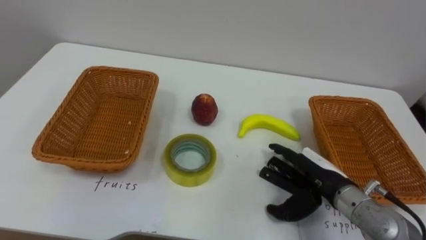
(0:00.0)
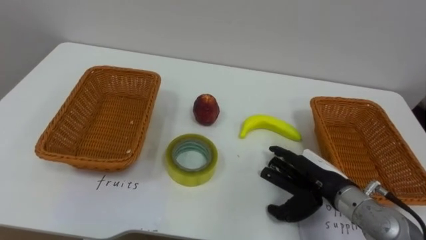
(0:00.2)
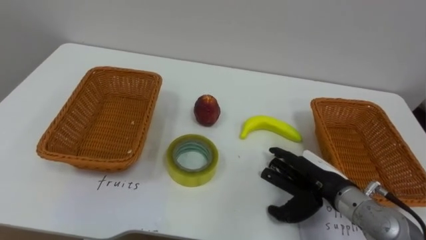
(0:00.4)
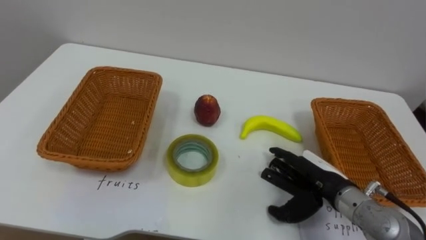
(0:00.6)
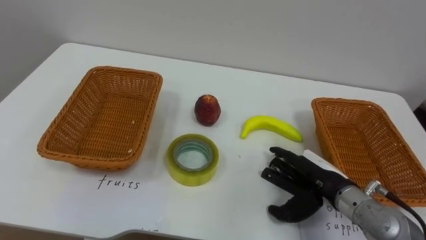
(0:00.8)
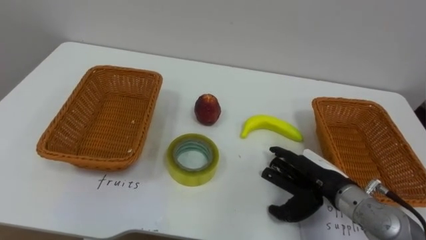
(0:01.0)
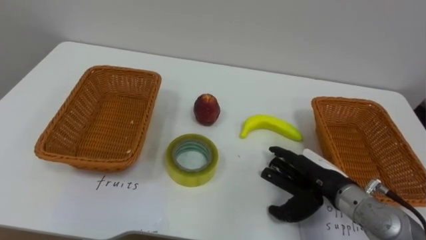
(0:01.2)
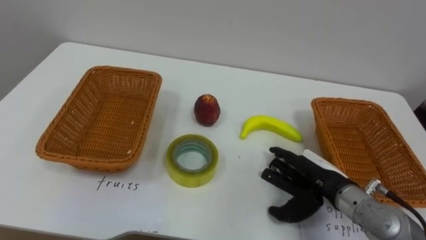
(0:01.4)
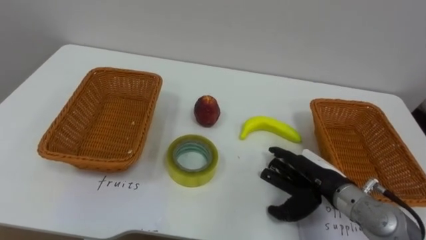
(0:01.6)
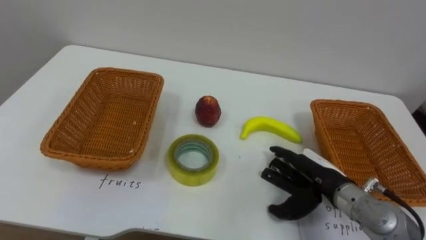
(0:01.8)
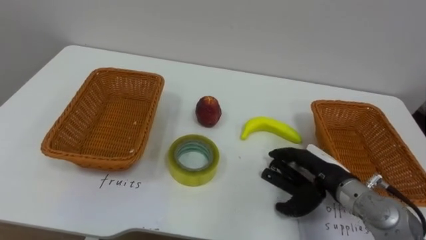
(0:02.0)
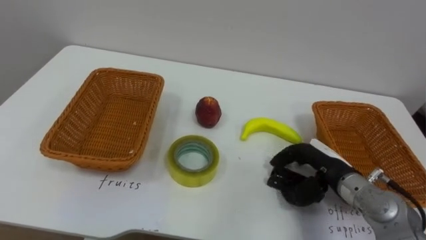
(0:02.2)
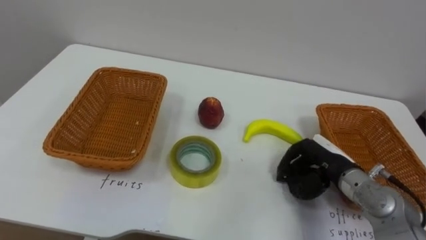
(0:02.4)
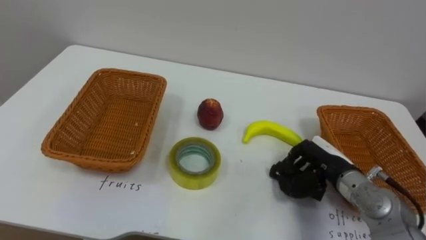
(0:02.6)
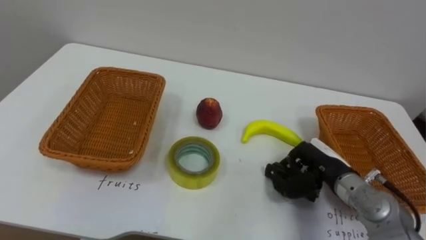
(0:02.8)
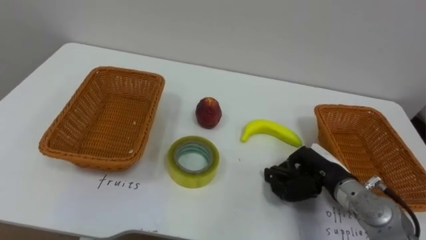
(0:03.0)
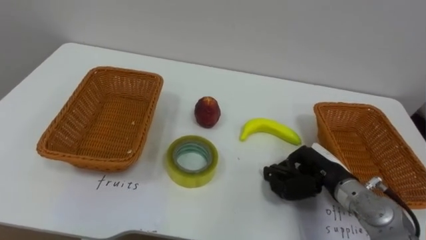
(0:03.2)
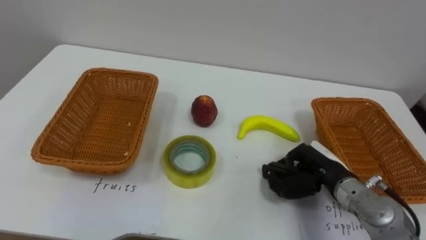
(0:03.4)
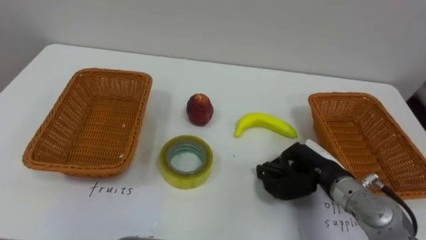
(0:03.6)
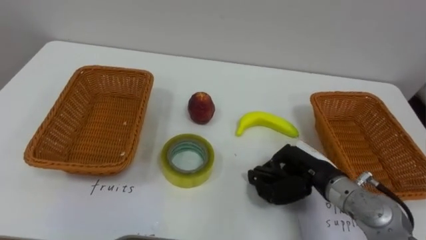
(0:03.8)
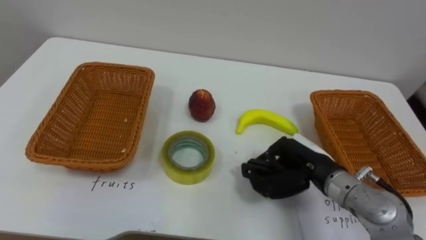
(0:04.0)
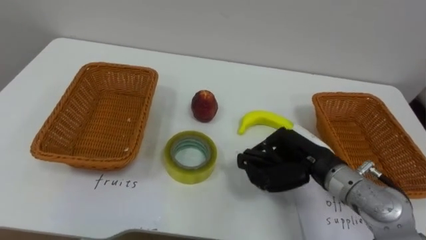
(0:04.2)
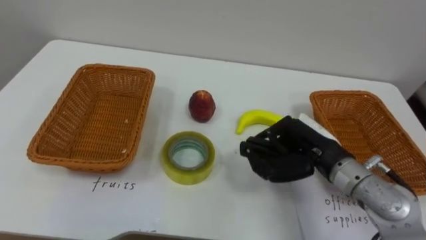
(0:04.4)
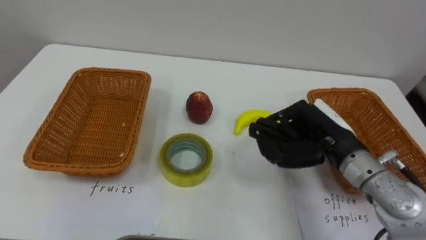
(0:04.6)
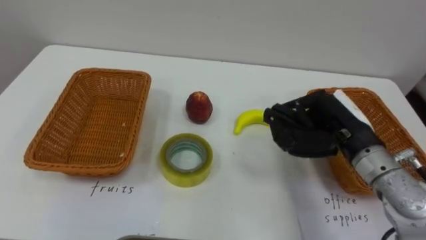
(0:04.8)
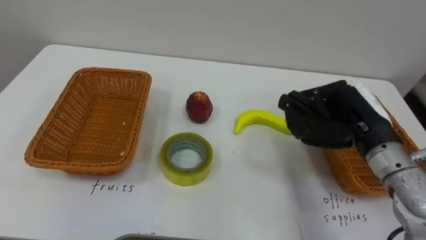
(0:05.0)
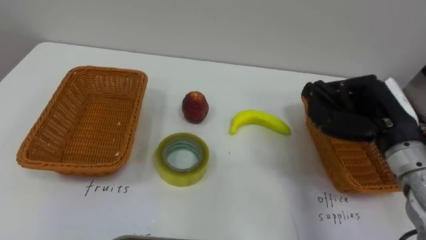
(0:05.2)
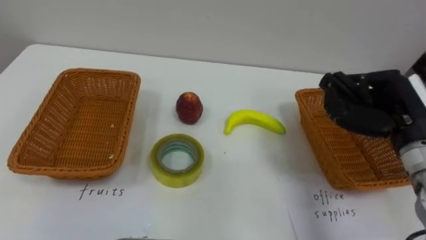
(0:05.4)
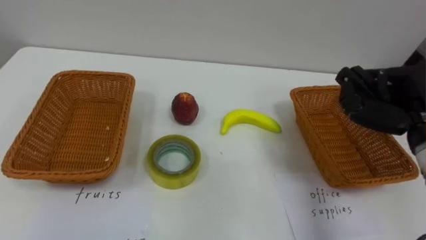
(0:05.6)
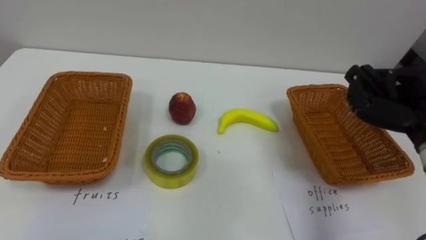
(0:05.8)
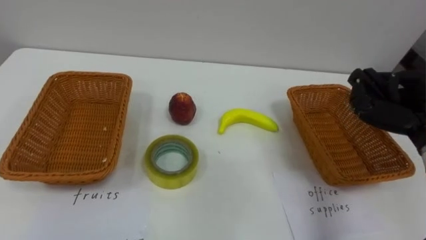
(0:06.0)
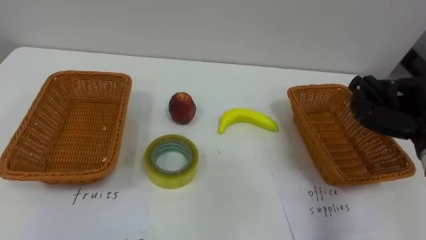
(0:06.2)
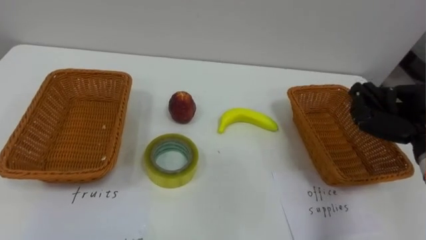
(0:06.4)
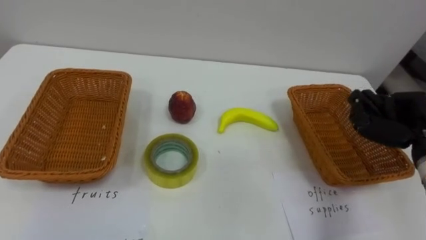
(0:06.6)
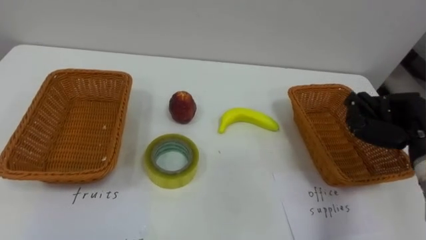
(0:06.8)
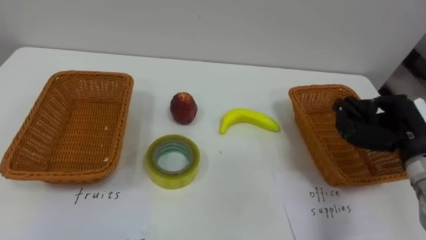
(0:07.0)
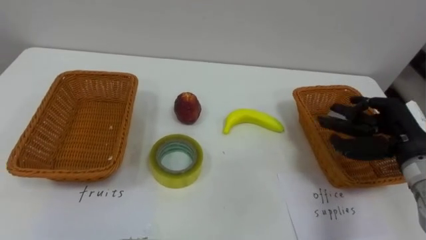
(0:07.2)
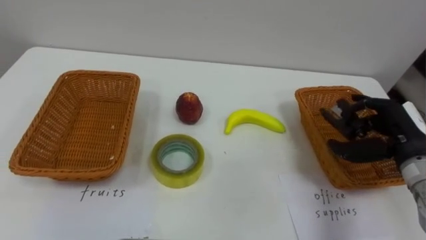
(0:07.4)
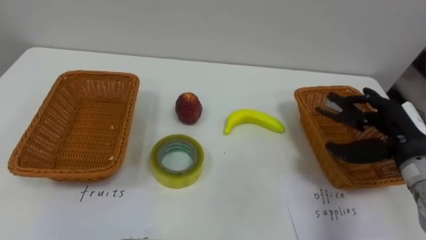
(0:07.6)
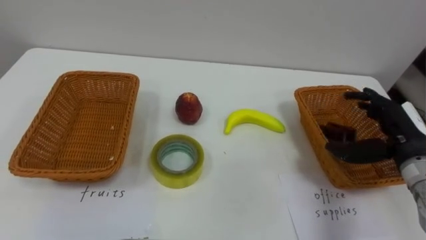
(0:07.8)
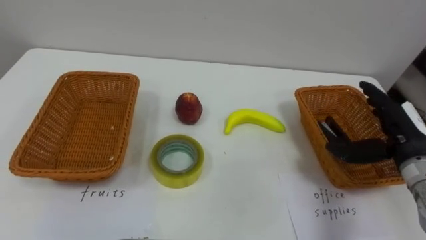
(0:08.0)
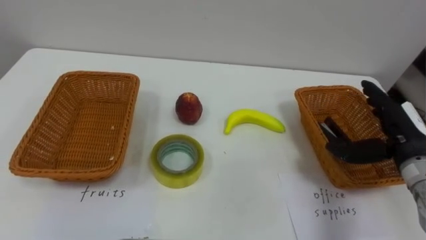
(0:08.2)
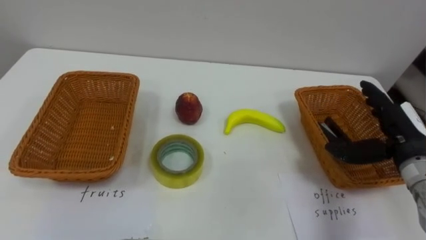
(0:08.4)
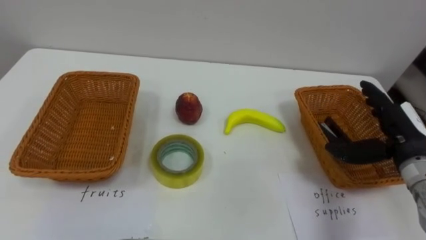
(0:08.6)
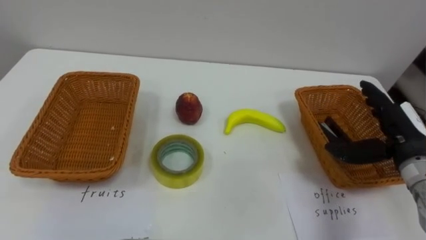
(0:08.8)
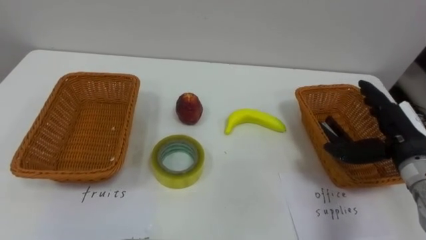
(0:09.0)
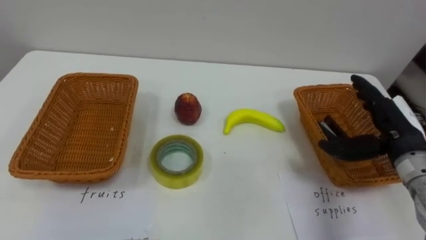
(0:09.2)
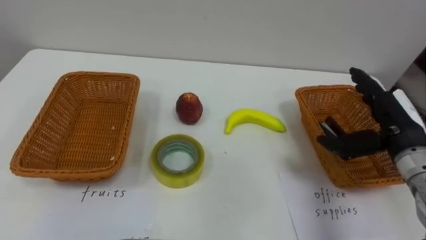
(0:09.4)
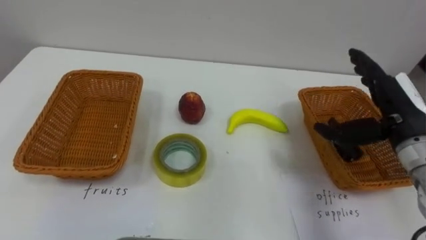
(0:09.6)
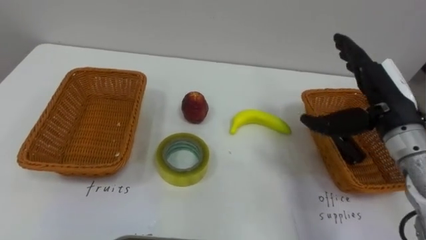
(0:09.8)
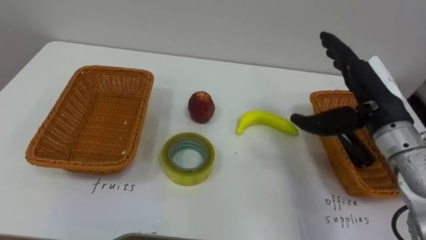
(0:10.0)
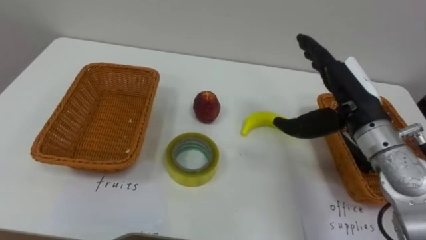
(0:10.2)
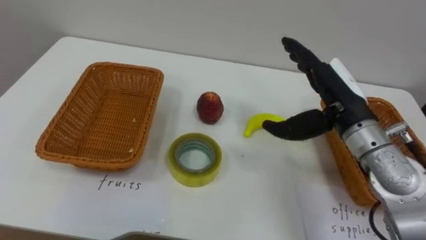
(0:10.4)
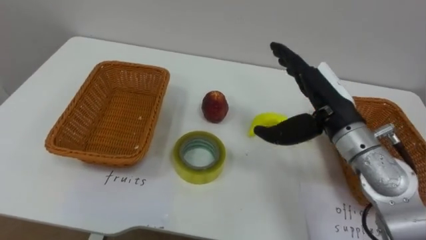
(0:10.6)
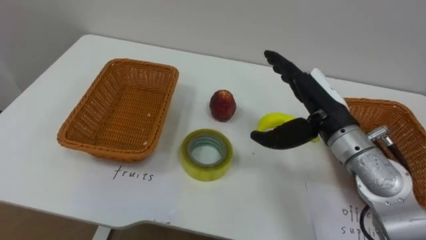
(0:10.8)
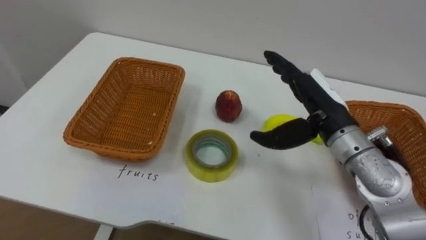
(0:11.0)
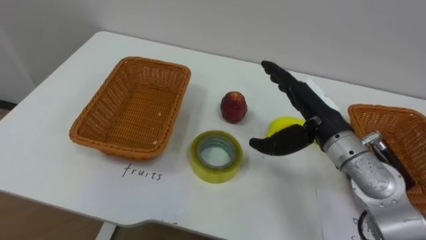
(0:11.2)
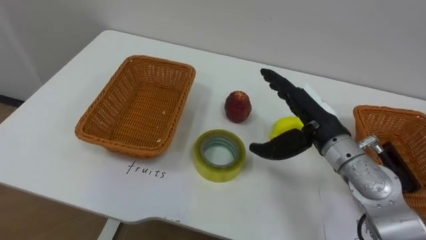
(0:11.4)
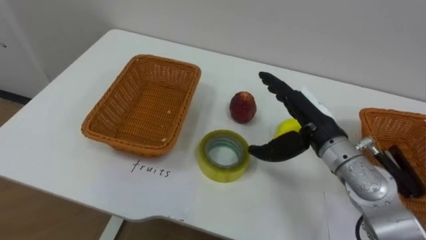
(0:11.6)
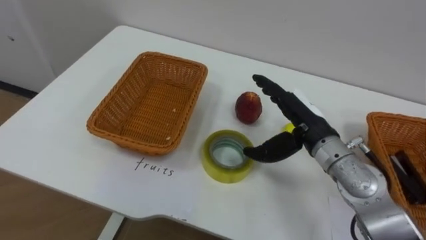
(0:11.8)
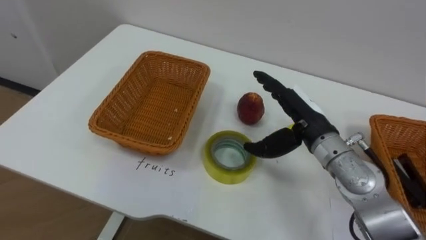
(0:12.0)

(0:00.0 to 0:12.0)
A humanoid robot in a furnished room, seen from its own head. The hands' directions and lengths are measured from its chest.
Task of the whole recording: Separate the items on the table and place them into the two baskets.
0:01.6 - 0:03.0: The right hand closes up.
0:03.0 - 0:04.4: The right hand moves upward, some 10 cm.
0:04.4 - 0:06.0: The right hand heads to the right, covering approximately 15 cm.
0:06.0 - 0:07.6: The right hand moves downward, roughly 5 cm, and opens its fingers.
0:09.0 - 0:10.4: The right hand travels to the left and upward by roughly 15 cm.
0:10.4 - 0:12.0: The right hand shifts about 5 cm downward.

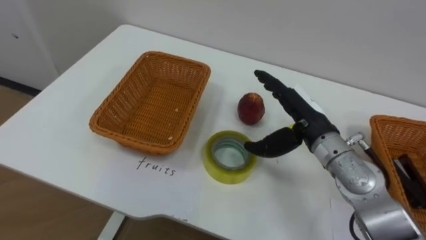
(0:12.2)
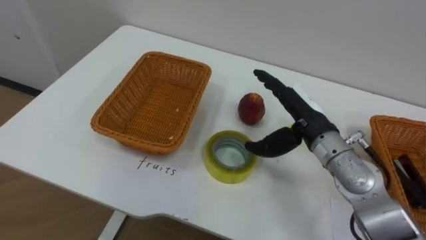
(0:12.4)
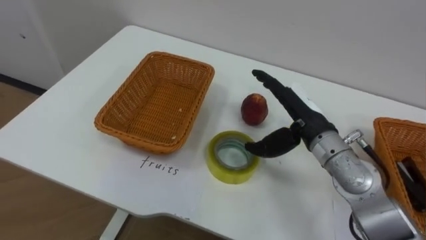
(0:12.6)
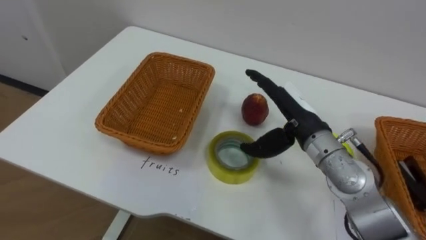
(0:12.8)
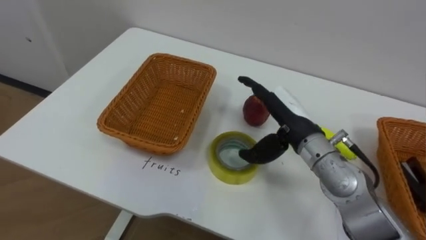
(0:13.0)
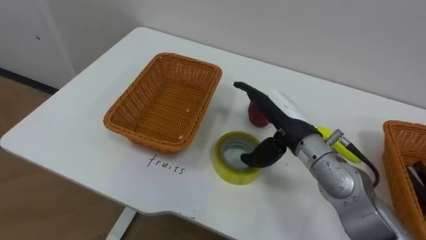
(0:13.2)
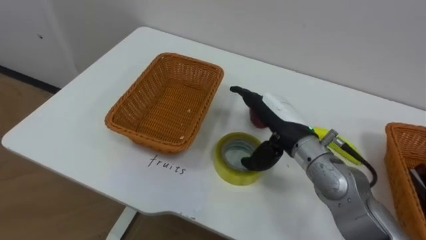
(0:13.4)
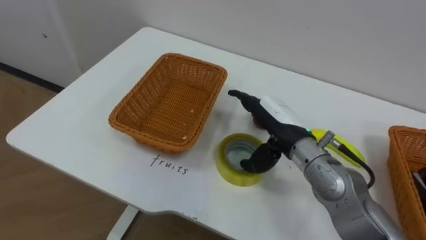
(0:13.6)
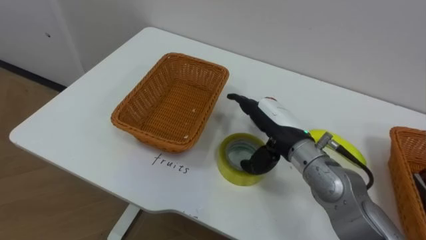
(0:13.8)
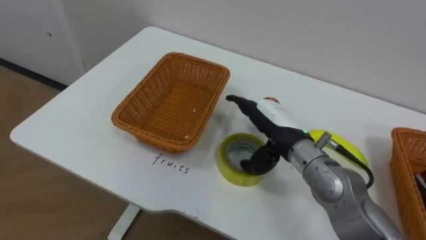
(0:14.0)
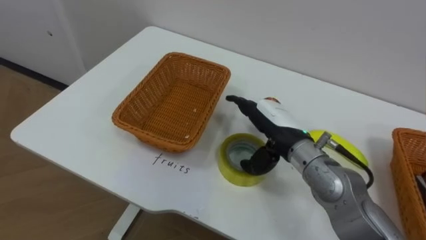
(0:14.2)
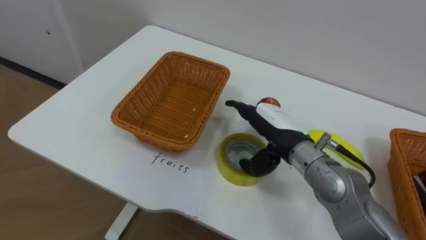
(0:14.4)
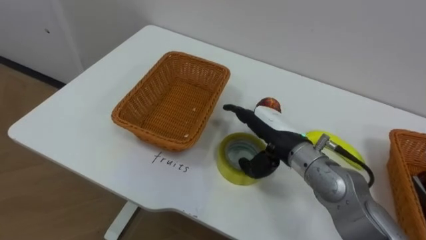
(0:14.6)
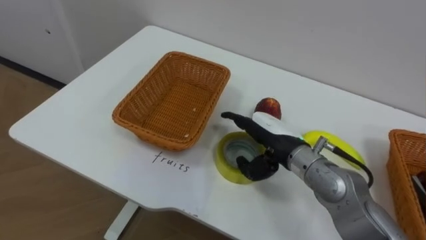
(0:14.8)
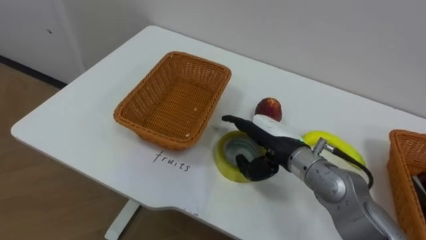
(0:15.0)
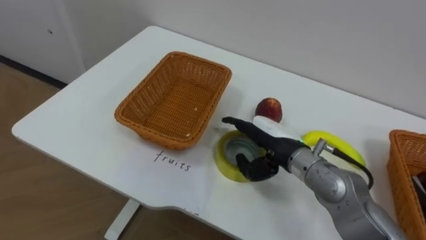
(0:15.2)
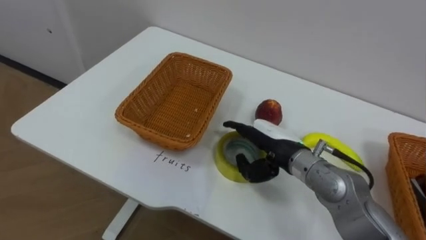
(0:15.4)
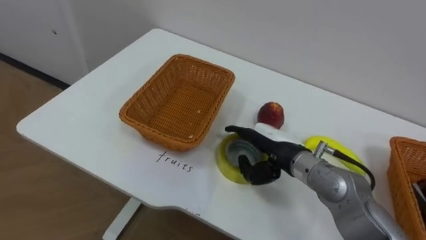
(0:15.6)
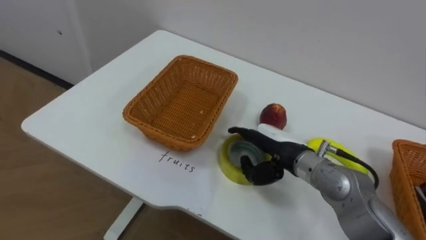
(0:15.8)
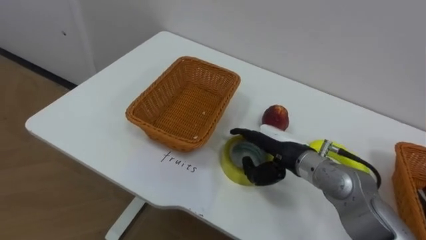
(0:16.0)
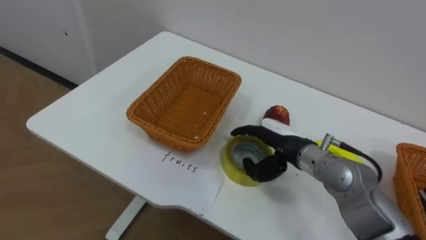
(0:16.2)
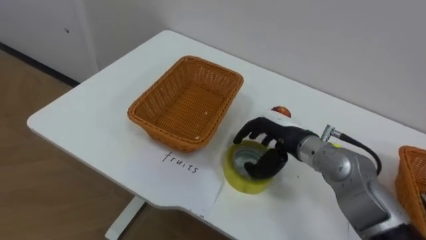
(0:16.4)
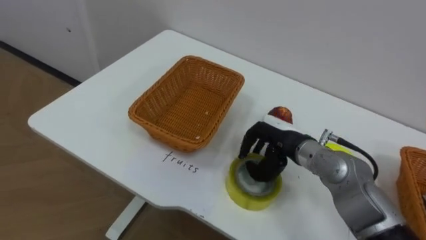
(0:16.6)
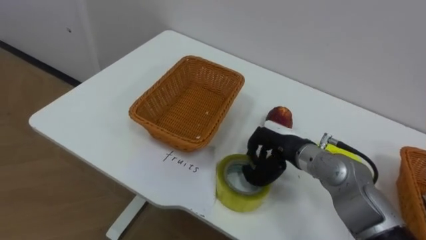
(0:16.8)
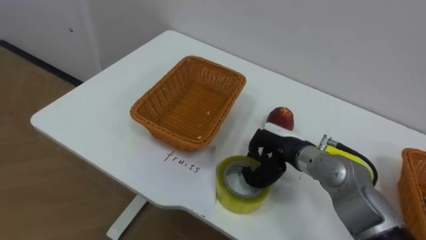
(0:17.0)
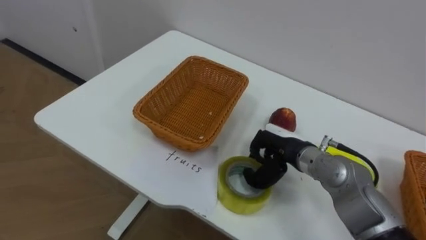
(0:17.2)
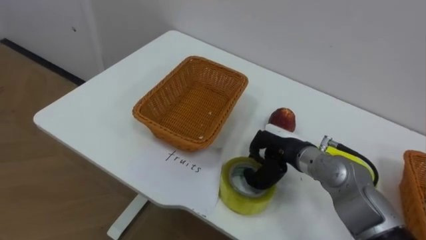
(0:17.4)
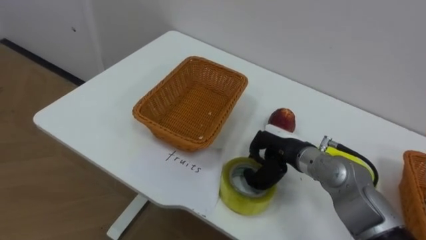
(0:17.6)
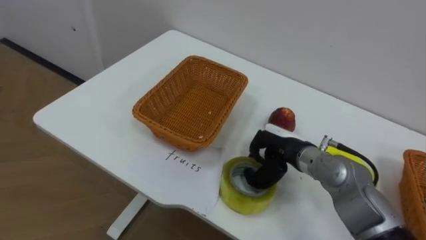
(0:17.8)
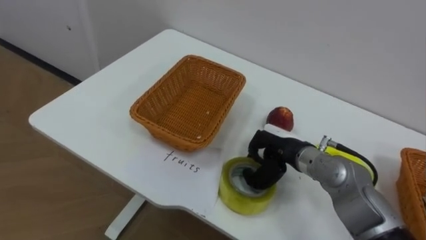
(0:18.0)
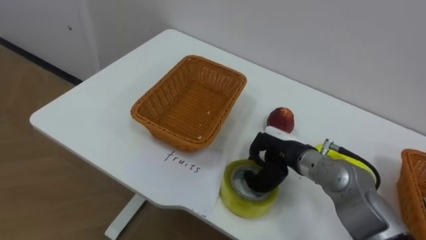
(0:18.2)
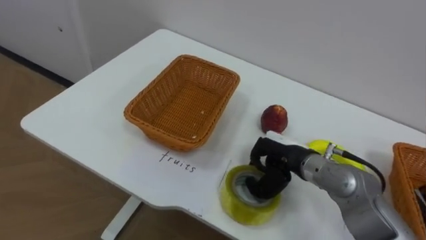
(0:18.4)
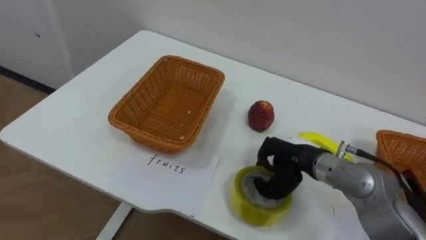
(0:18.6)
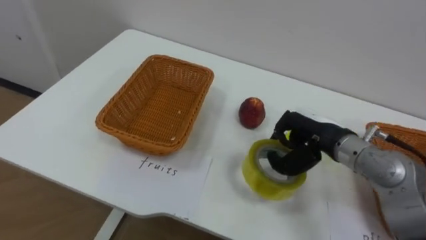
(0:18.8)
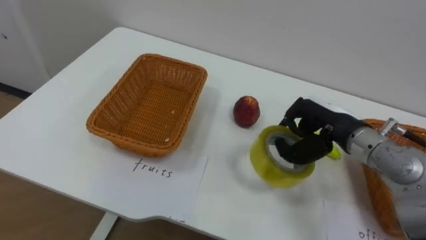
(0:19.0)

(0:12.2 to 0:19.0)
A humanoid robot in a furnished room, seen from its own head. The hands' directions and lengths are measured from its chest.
Task of the whole recording: Separate the items on the table and place them into the two baskets.
0:16.2 - 0:17.6: The right hand closes its fingers.
0:17.6 - 0:19.0: The right hand shifts approximately 10 cm upward and to the right.
